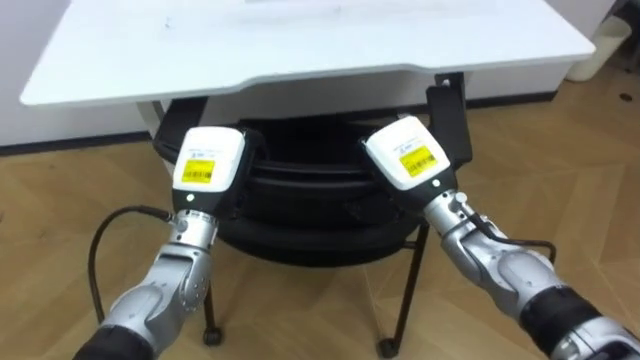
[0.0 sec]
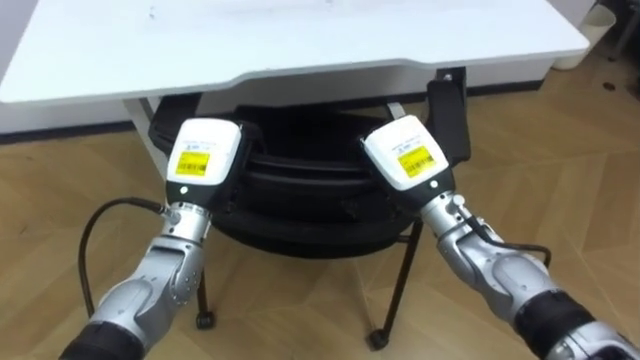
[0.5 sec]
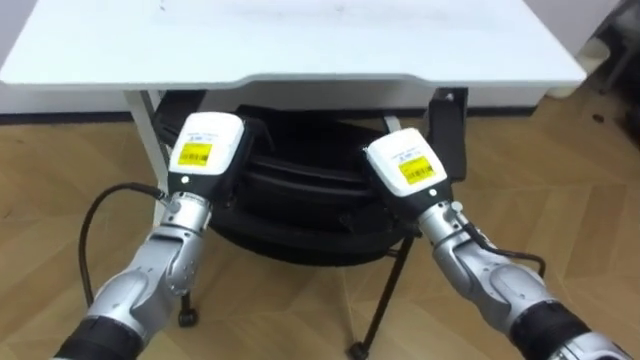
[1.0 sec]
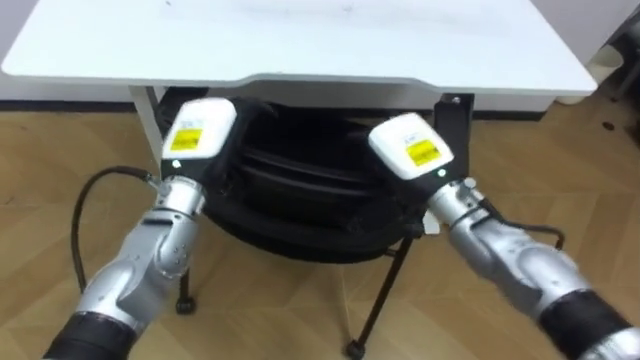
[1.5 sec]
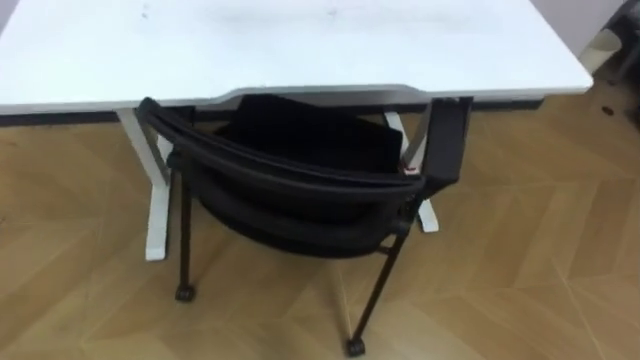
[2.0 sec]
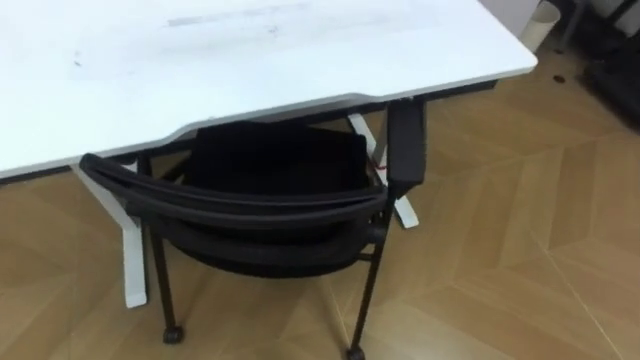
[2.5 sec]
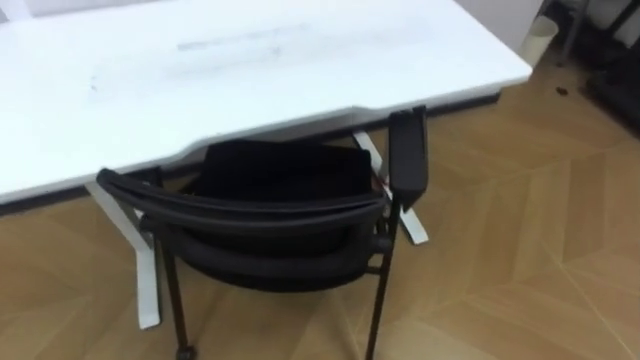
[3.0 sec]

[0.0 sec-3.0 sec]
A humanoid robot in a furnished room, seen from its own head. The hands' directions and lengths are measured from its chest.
Task of the whole recording: Push the chair under the table.
0.0 sec to 1.5 sec: The left hand opens its fingers, while the right hand opens its fingers.

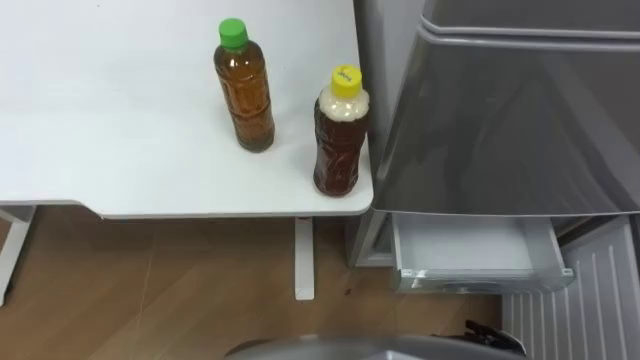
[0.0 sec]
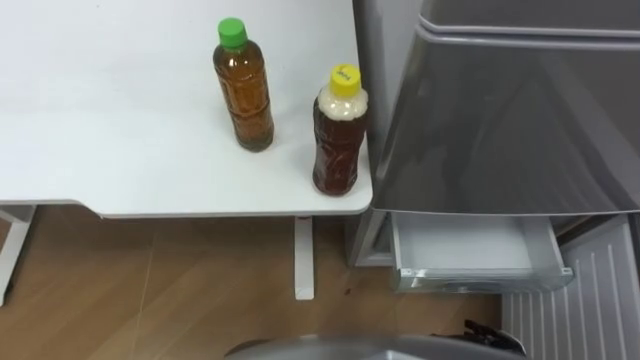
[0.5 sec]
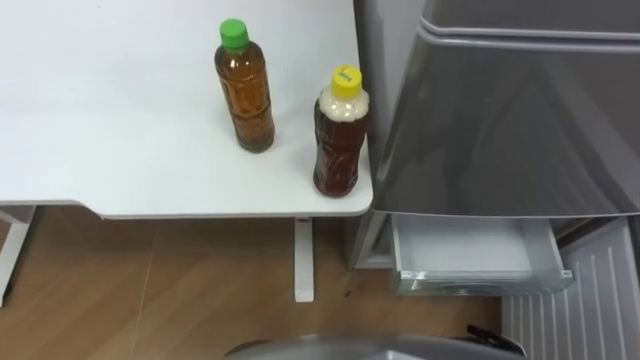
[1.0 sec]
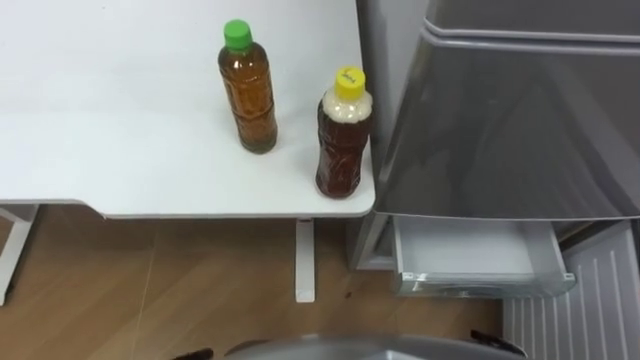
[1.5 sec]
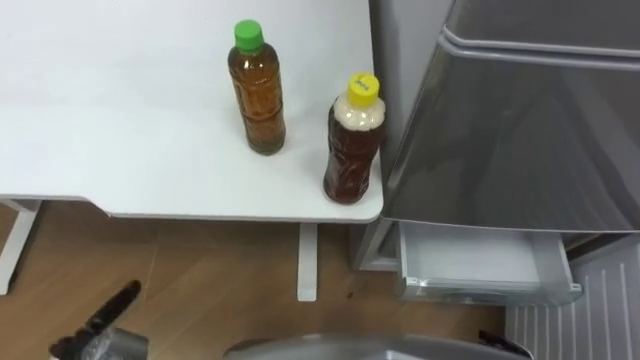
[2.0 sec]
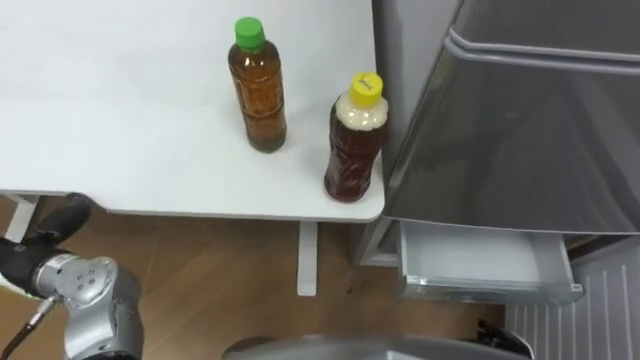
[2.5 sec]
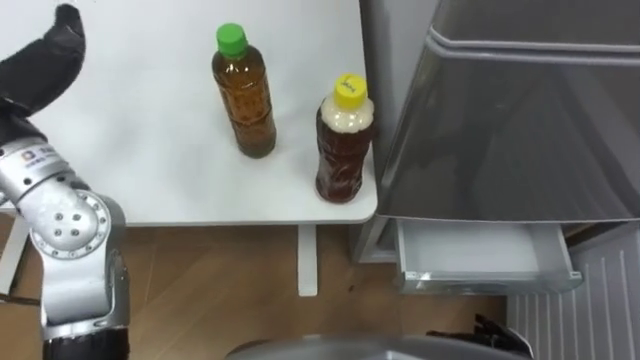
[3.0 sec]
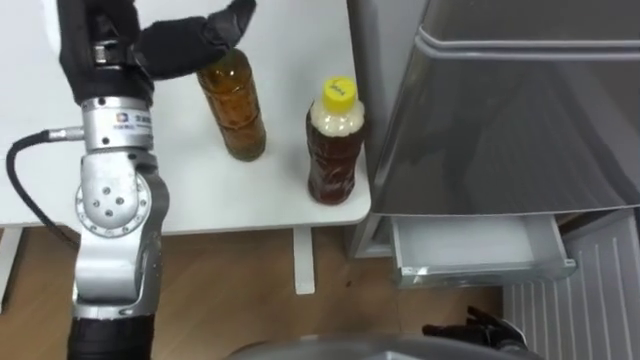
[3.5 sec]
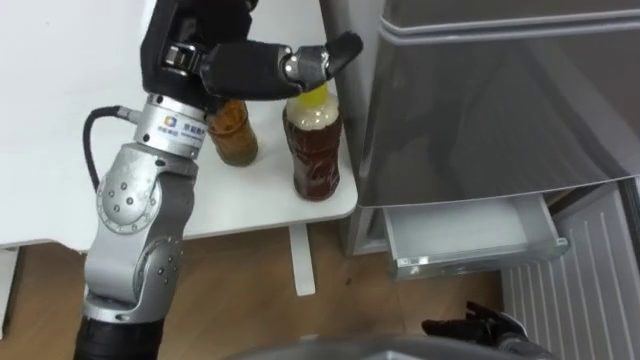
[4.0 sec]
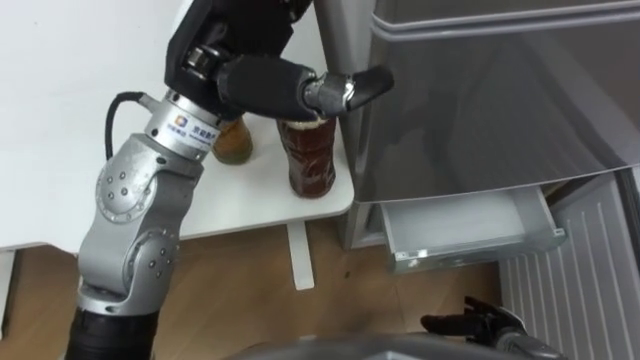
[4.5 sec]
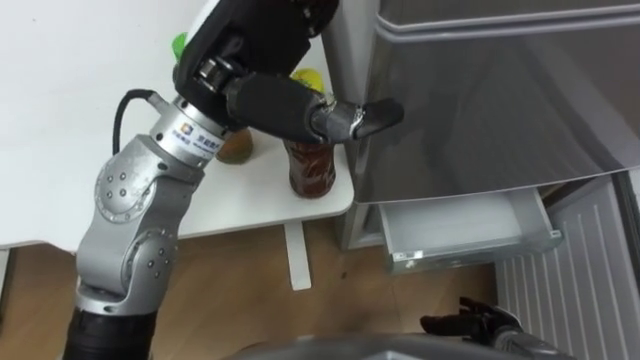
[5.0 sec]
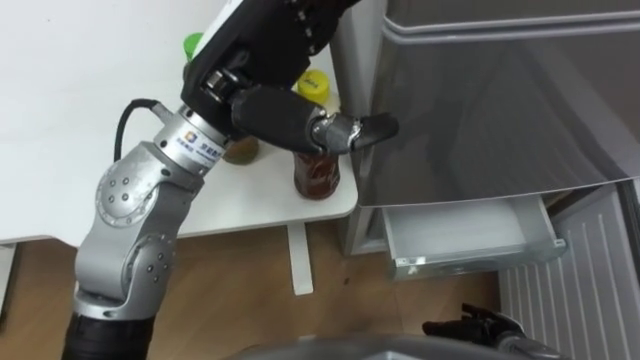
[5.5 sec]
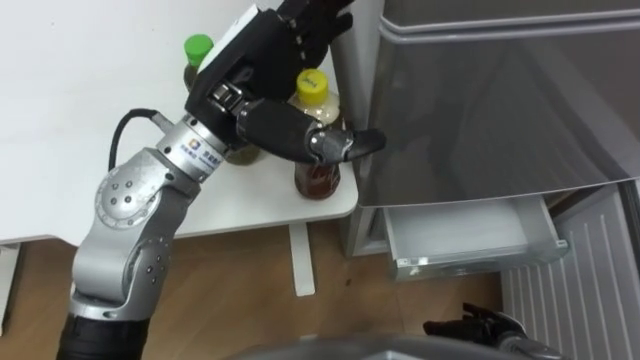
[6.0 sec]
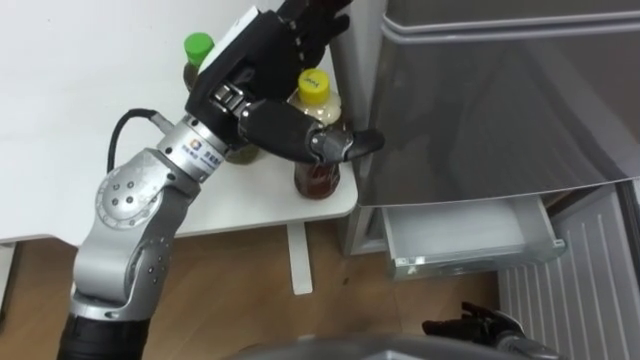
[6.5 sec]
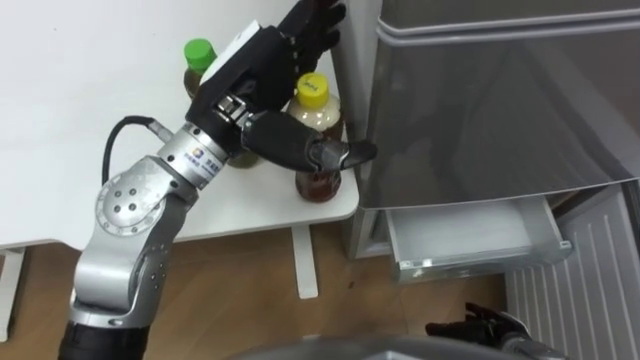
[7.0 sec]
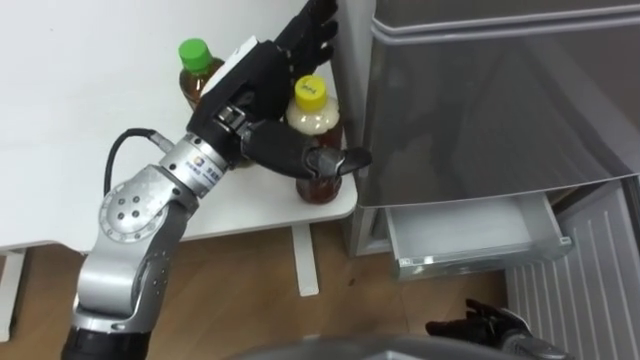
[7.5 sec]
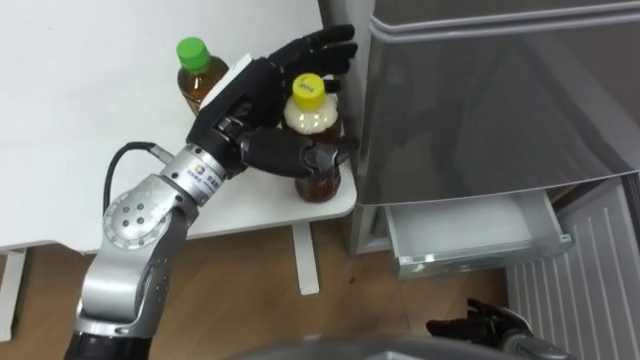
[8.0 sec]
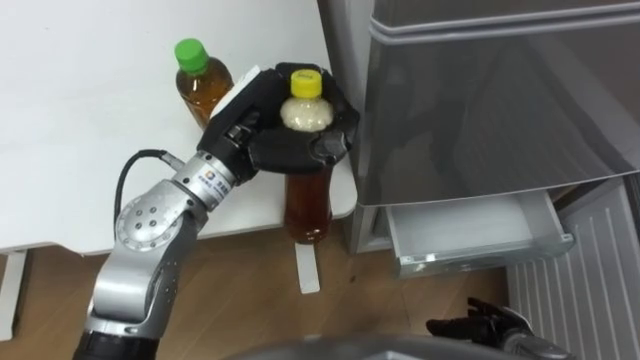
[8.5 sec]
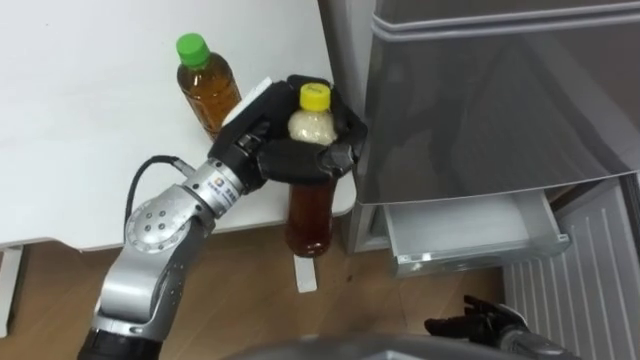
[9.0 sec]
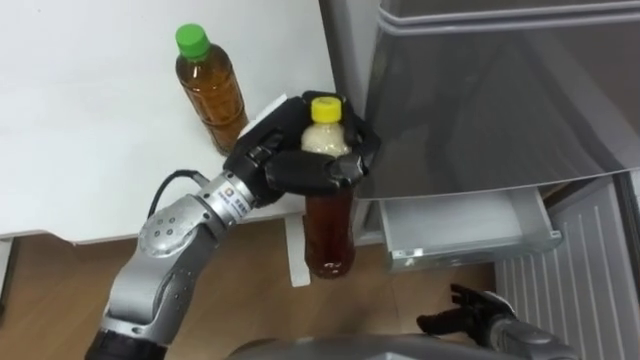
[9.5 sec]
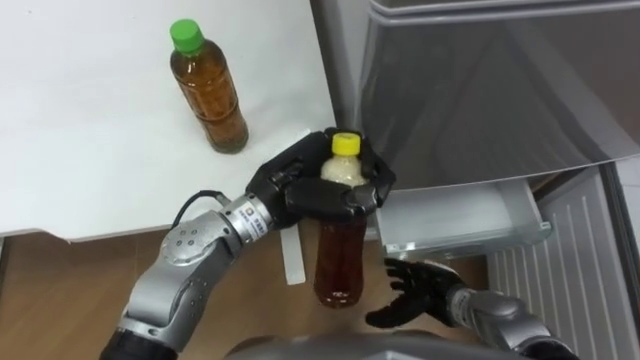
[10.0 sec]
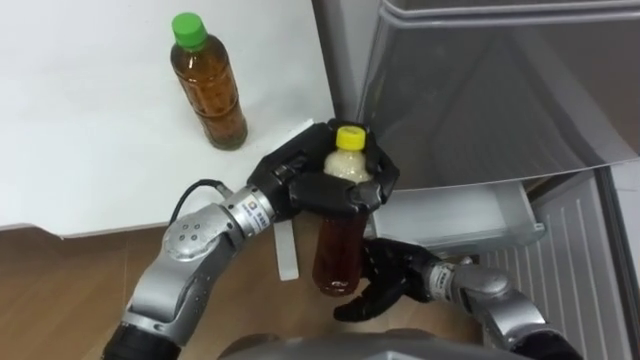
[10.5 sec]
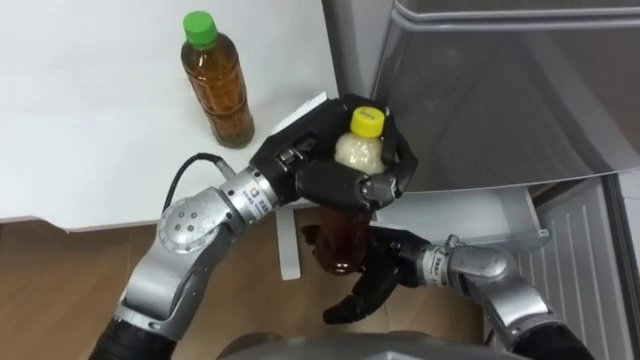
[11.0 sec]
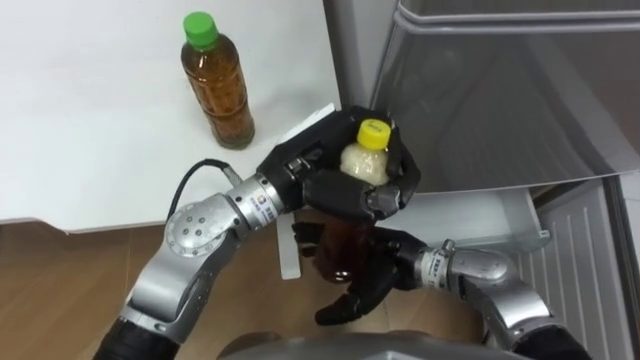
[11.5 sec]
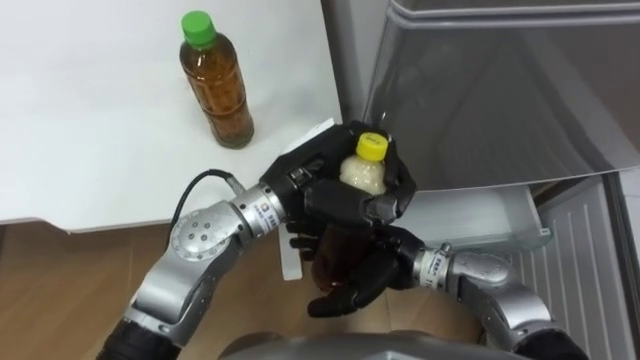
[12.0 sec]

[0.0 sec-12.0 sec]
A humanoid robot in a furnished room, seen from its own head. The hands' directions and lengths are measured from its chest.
Task of the whole recording: Place the drink on the table on the bottom shelf of the refrigerator, then close the drawer and the refrigerator door.
4.0 sec to 6.0 sec: The left hand shifts by about 5 cm.
6.0 sec to 8.0 sec: The left hand heads downward, covering roughly 5 cm.
8.0 sec to 10.0 sec: The right hand goes about 10 cm to the left and forward, while the left hand shifts approximately 10 cm downward and to the right, and closes up.
10.0 sec to 12.0 sec: The right hand moves upward and to the left, roughly 15 cm.

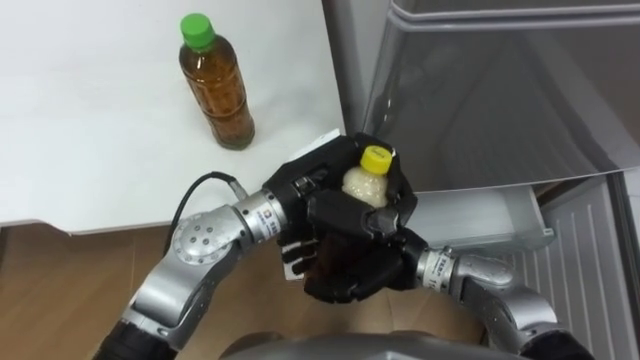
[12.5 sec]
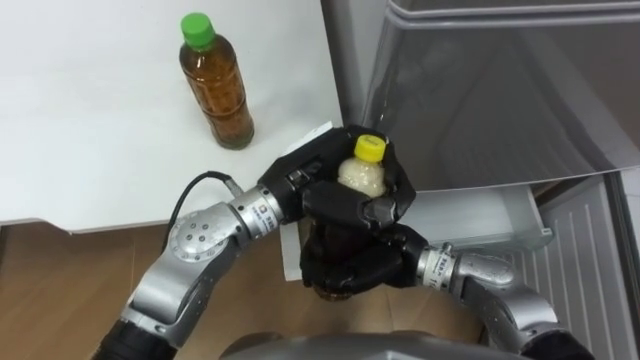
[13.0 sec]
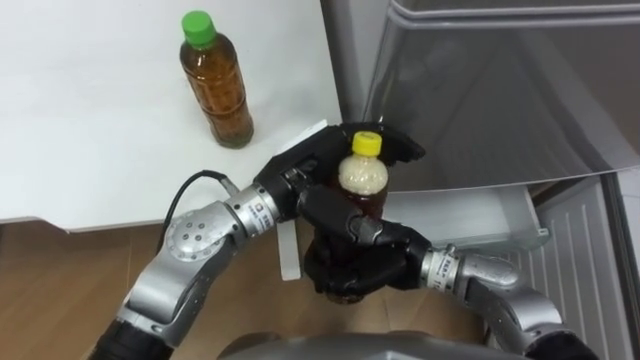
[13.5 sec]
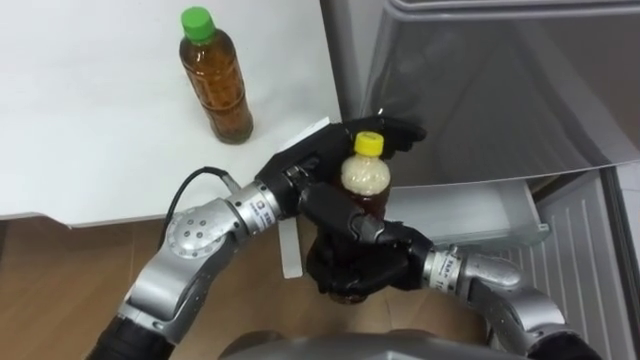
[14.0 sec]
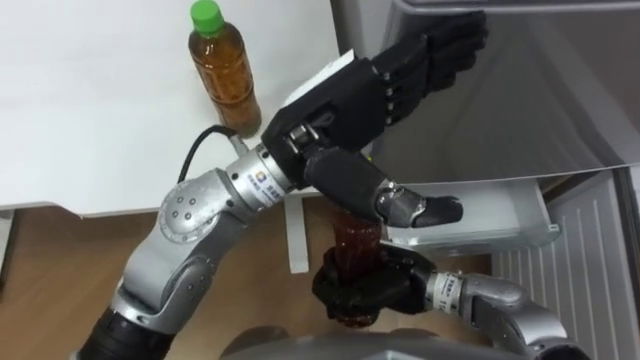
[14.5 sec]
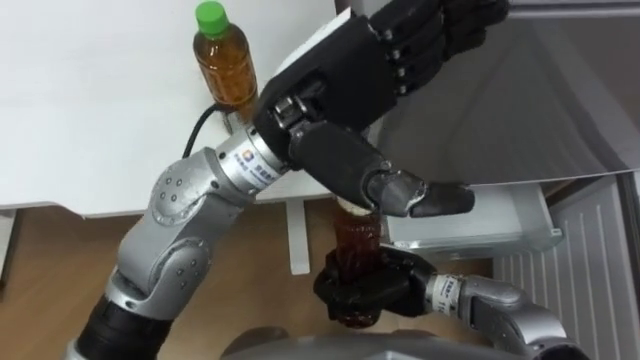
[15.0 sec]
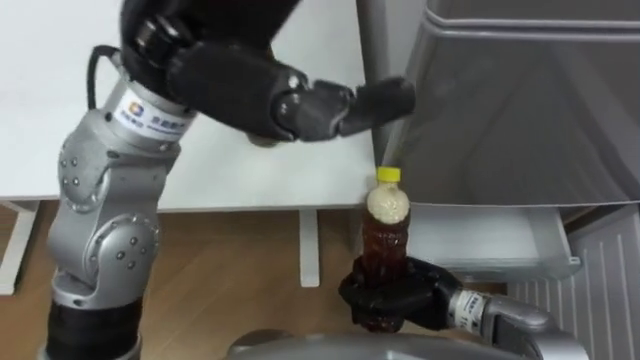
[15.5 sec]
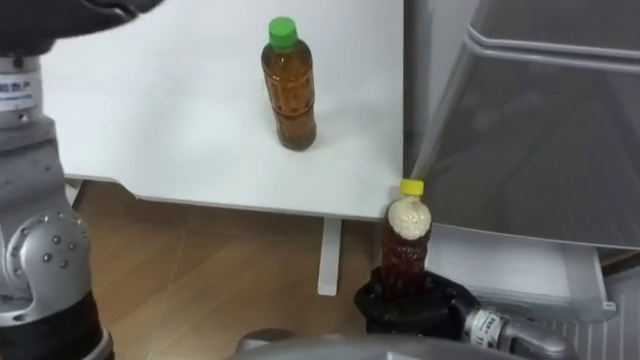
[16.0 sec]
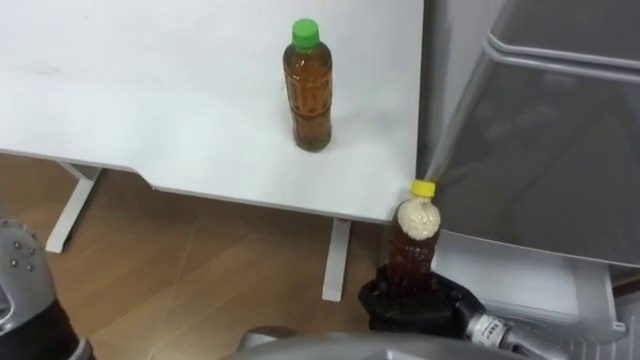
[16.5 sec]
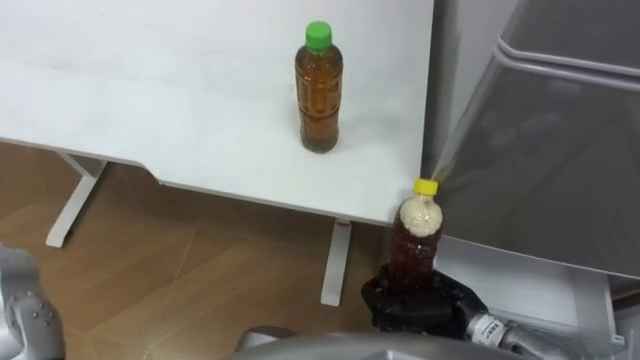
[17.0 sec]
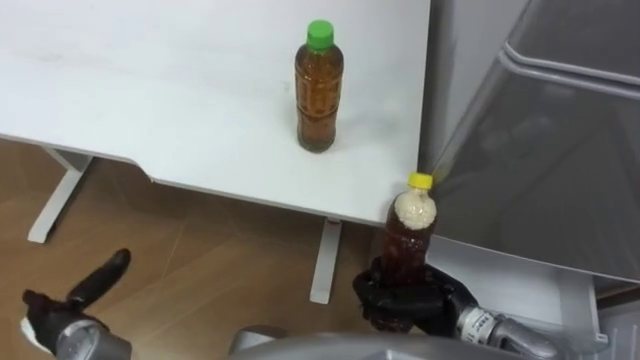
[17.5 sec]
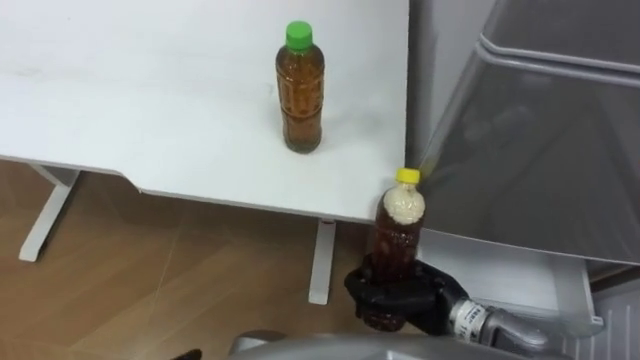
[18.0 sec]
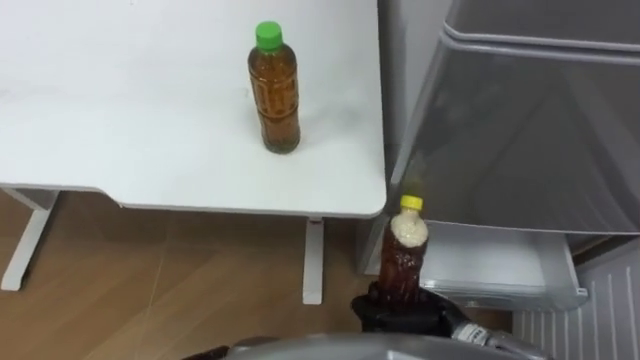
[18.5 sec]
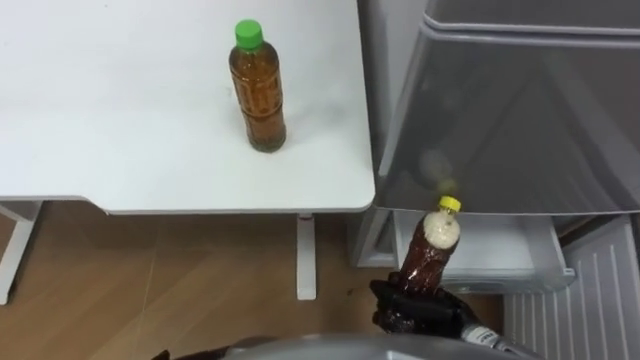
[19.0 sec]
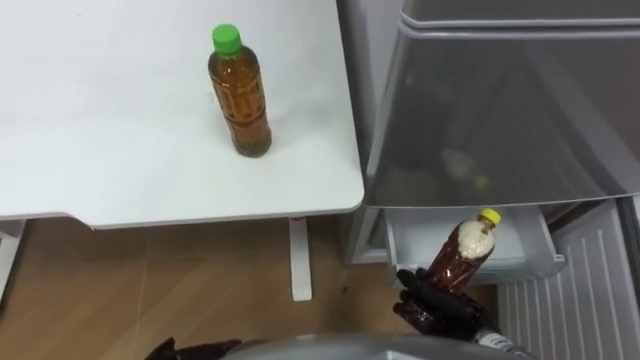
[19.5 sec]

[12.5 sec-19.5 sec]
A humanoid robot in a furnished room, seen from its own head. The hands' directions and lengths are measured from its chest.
Task of the whole recording: Place the drink on the table on the bottom shelf of the refrigerator, then close the drawer and the refrigerator door.
12.5 sec to 14.5 sec: The right hand closes. The left hand goes roughly 10 cm upward, and opens its fingers.
14.5 sec to 16.0 sec: The right hand shifts roughly 5 cm to the right.
17.5 sec to 19.5 sec: The right hand heads downward, covering approximately 5 cm.
